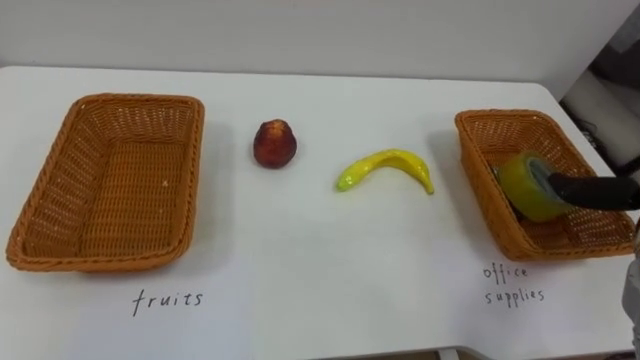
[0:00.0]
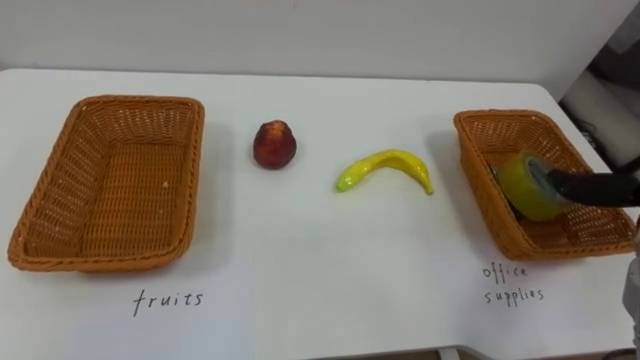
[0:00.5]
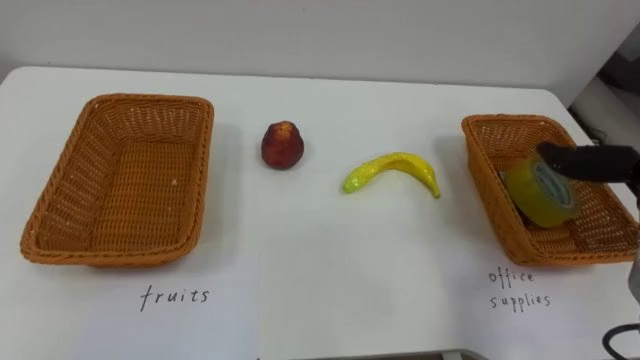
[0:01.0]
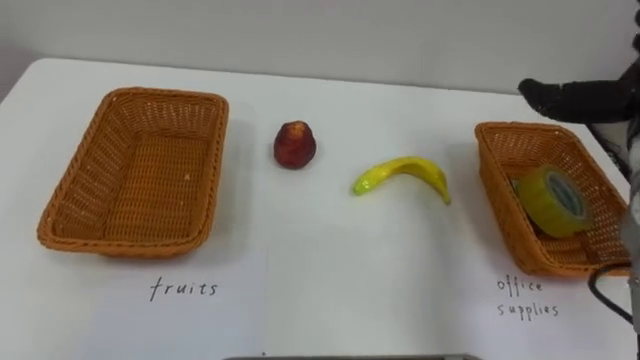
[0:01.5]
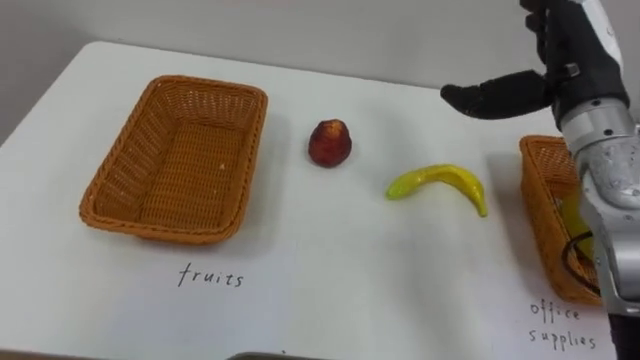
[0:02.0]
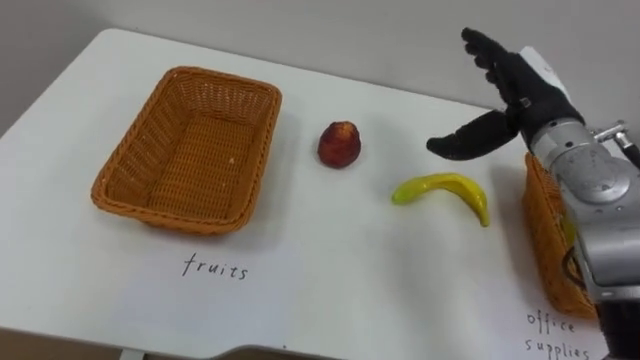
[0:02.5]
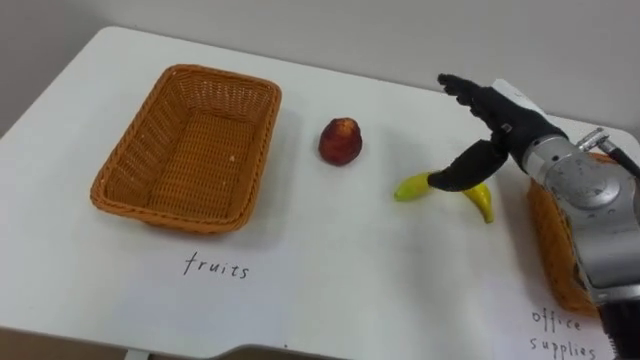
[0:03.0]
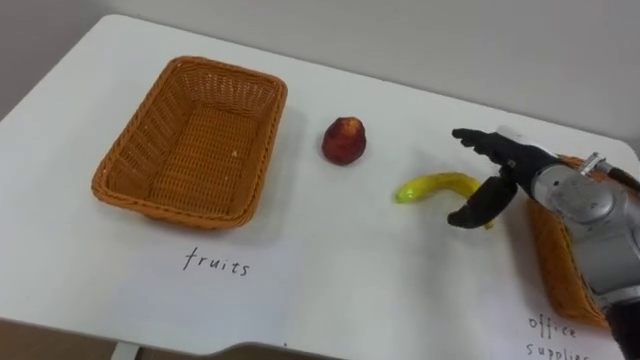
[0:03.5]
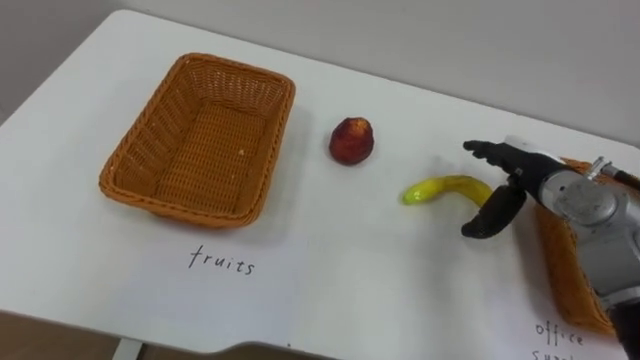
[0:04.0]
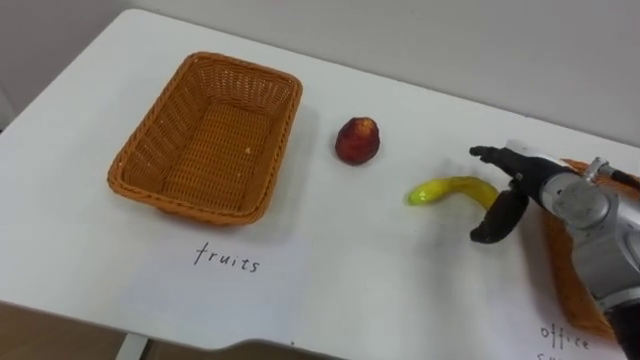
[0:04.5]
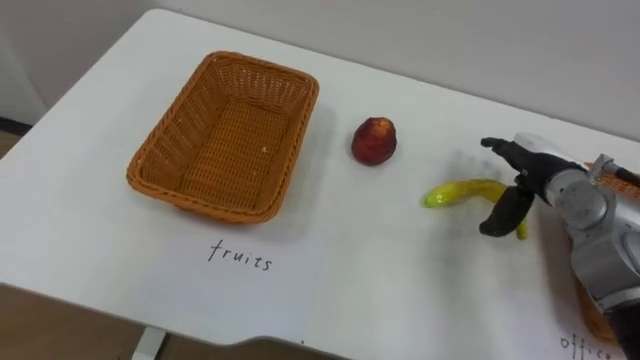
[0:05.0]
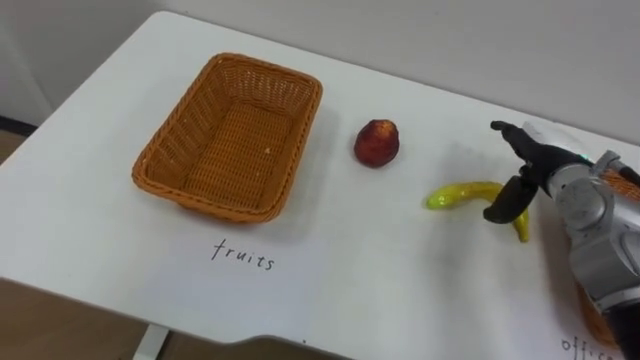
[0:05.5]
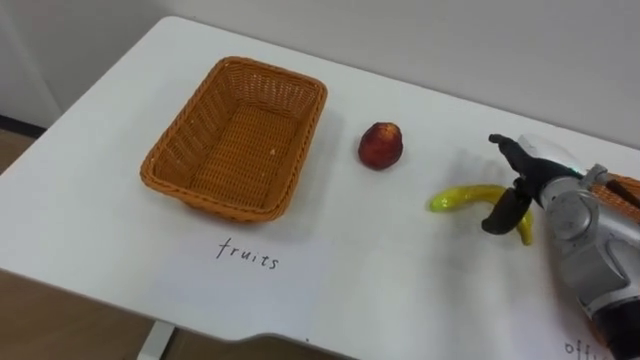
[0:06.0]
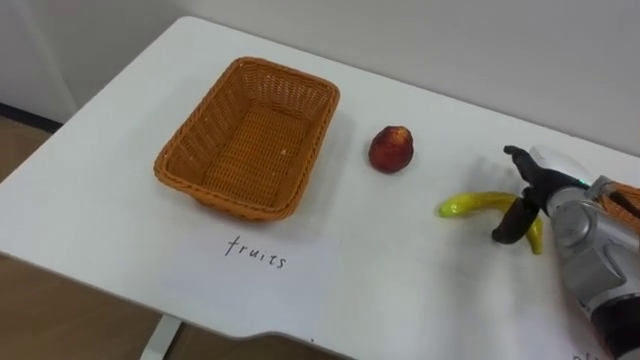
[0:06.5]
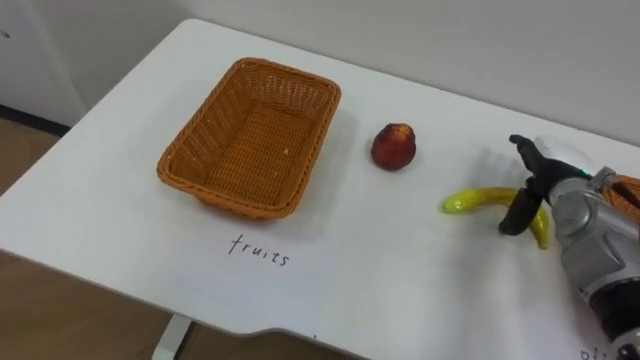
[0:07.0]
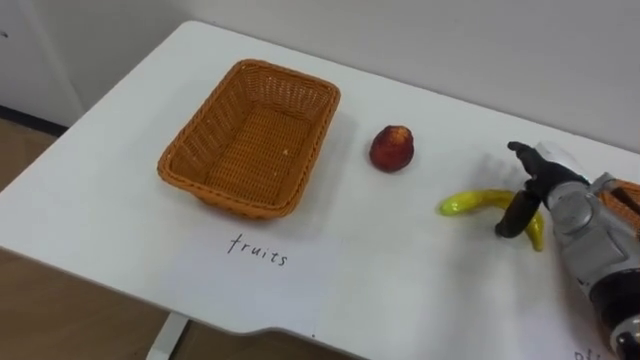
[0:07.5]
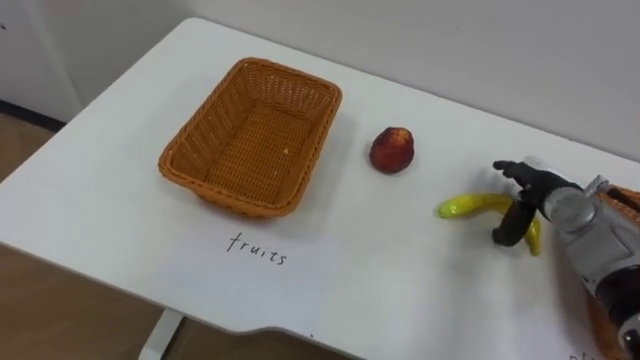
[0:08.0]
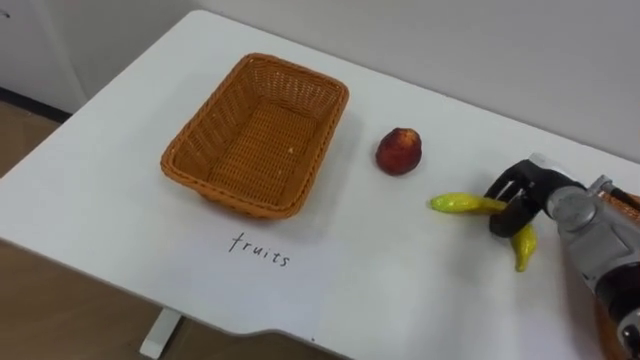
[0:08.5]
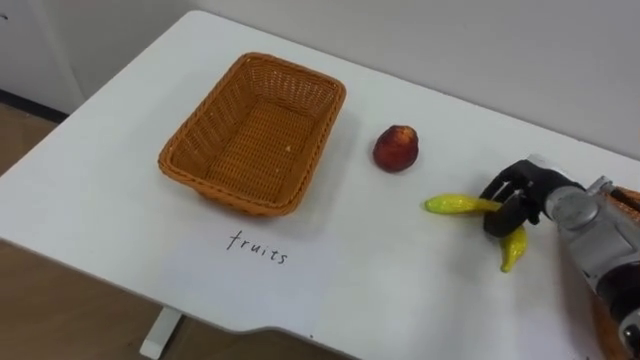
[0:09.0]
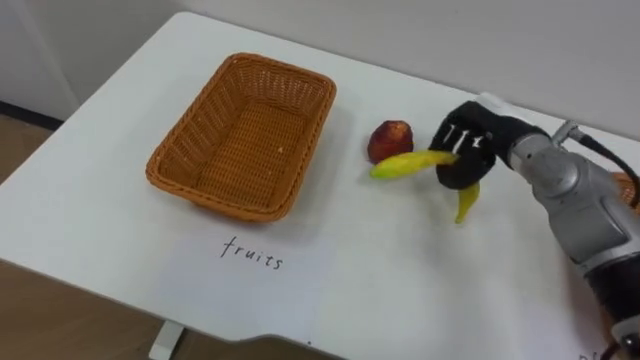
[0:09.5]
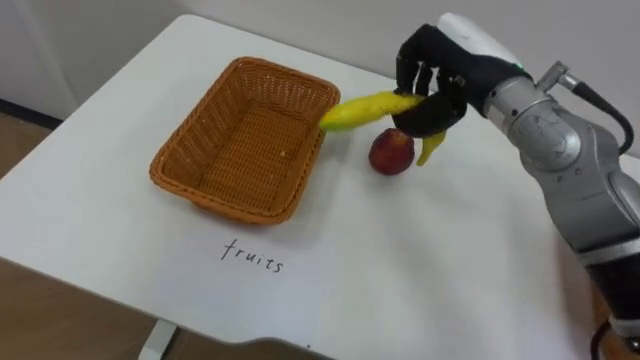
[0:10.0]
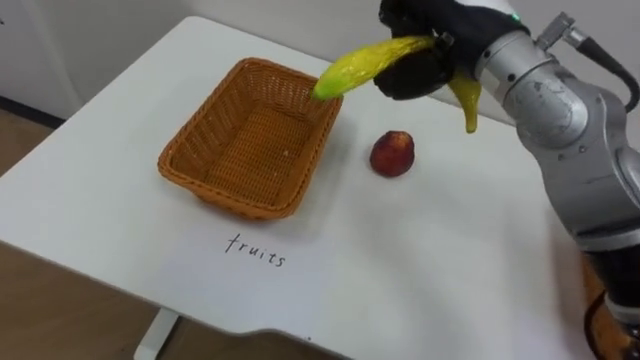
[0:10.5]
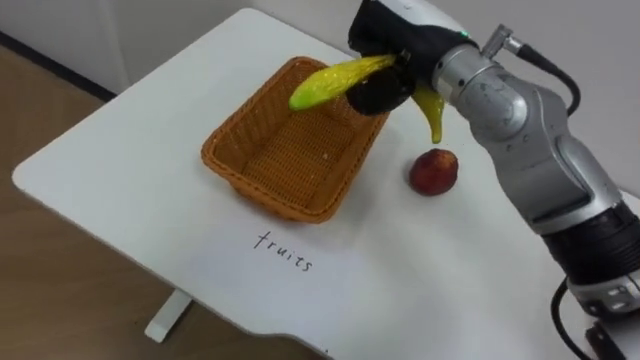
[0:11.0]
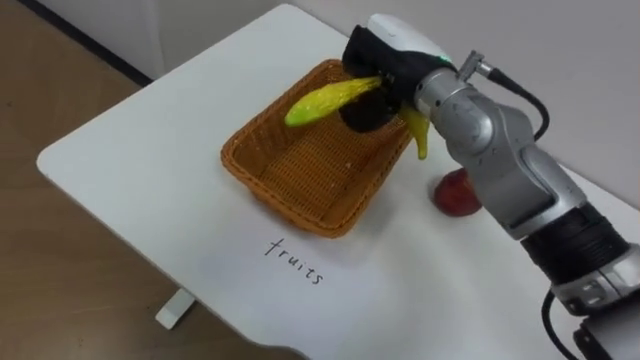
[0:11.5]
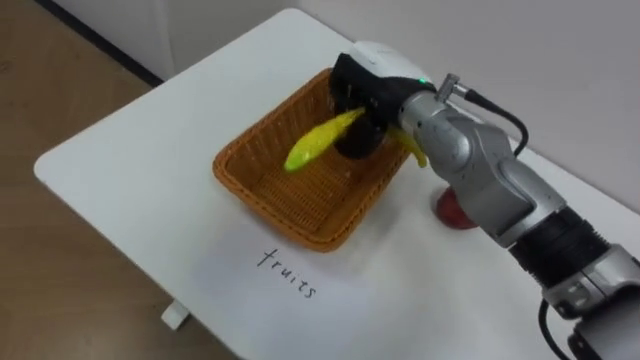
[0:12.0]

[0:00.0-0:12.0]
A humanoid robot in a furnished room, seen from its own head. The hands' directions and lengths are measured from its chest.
Task of the whole recording: Separate the items on the table and place them into the two baskets.
0:02.0 to 0:04.0: The right hand heads downward, covering roughly 15 cm.
0:08.0 to 0:10.0: The right hand goes about 25 cm upward and to the left, and closes its fingers.
0:10.0 to 0:12.0: The right hand goes some 10 cm to the left, and moves roughly 5 cm upward and comes back.

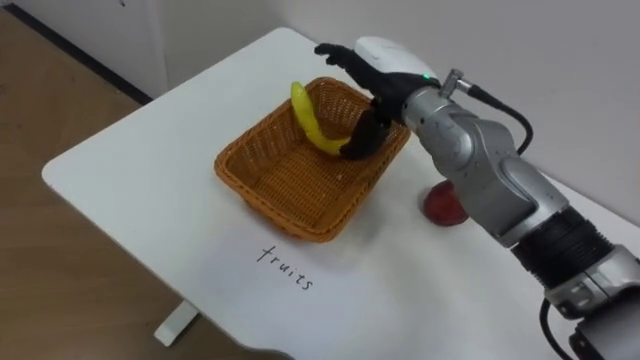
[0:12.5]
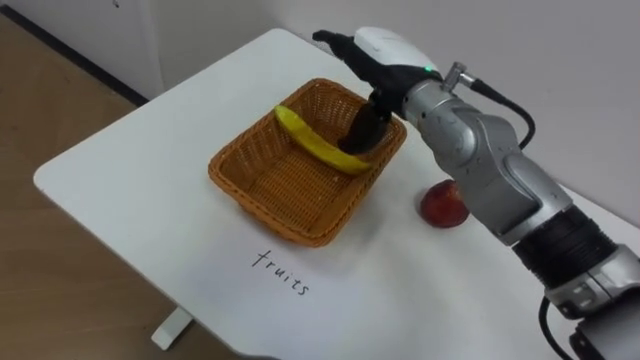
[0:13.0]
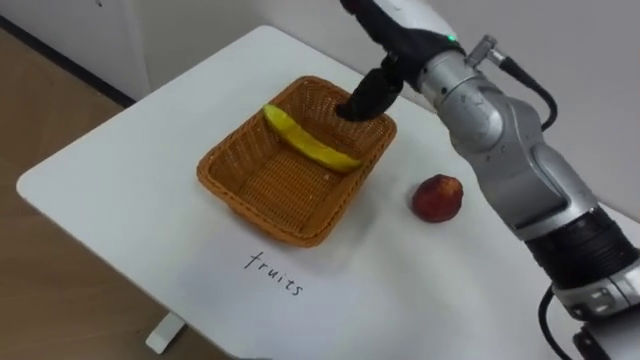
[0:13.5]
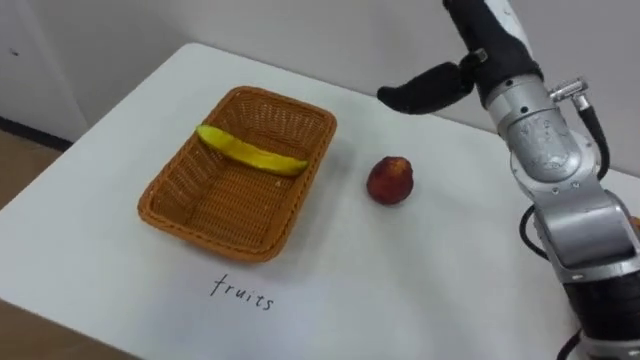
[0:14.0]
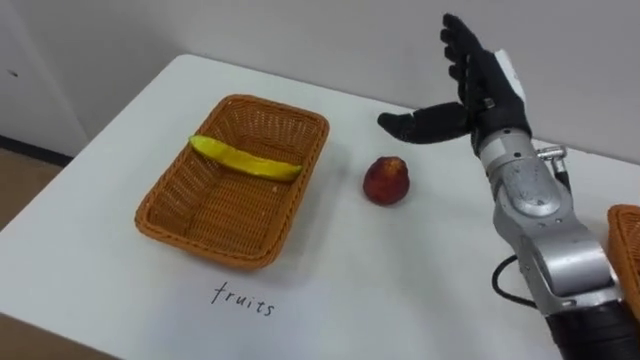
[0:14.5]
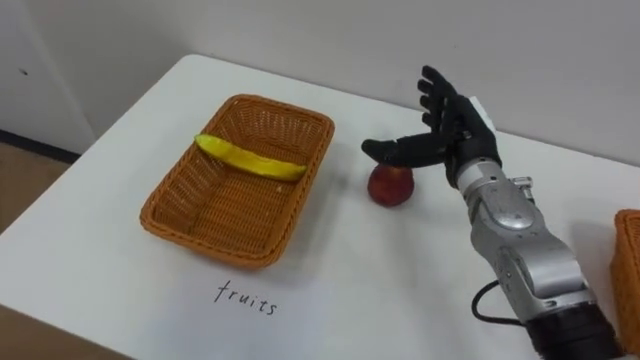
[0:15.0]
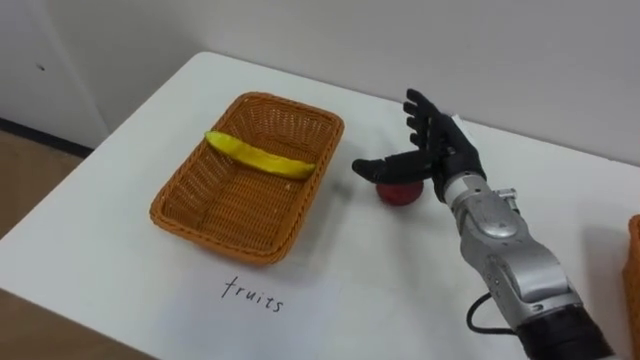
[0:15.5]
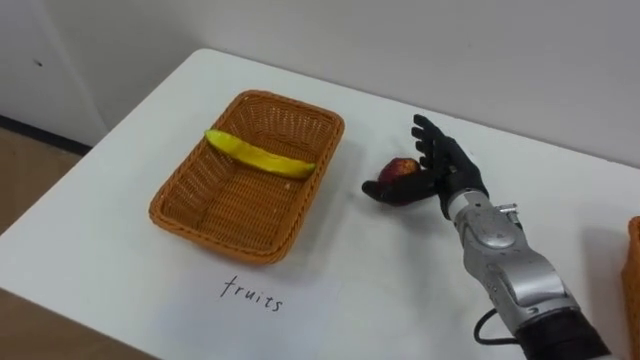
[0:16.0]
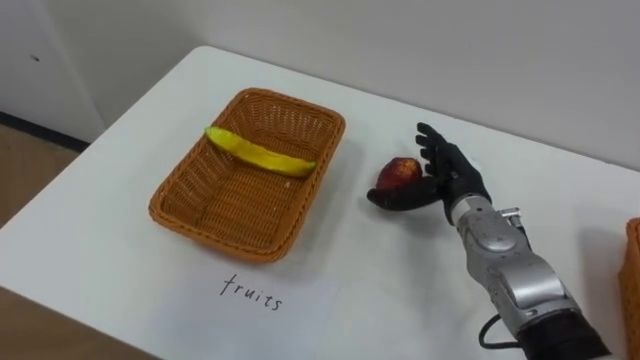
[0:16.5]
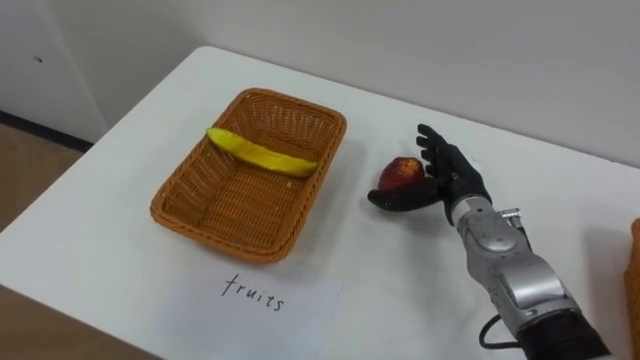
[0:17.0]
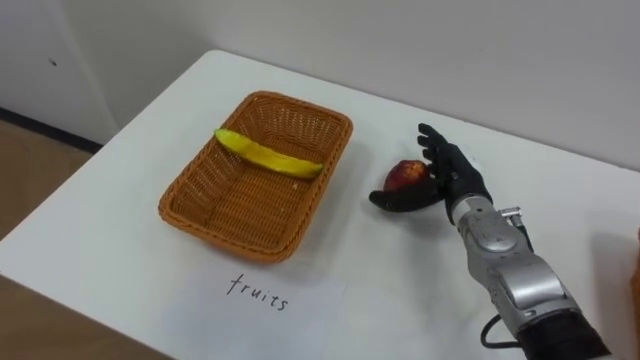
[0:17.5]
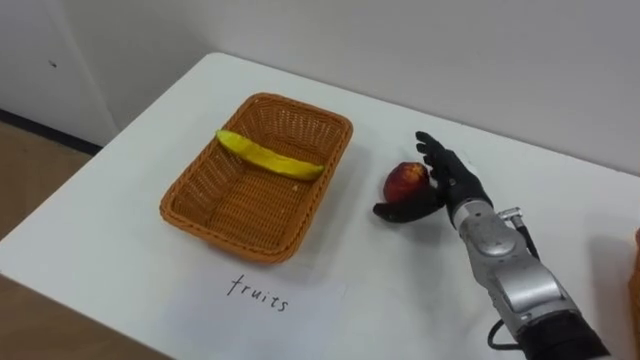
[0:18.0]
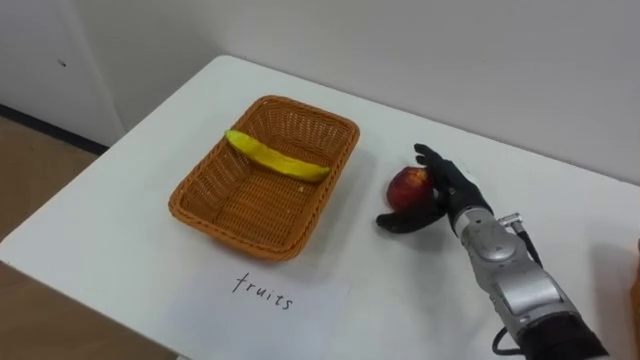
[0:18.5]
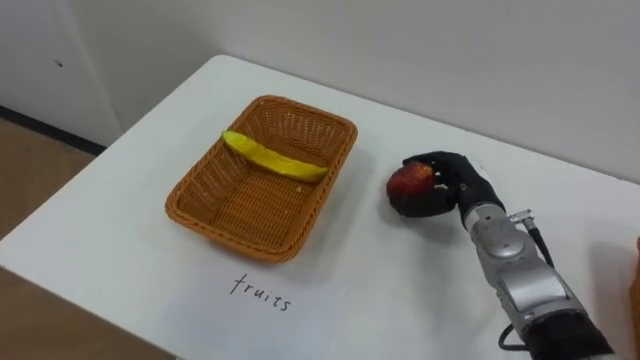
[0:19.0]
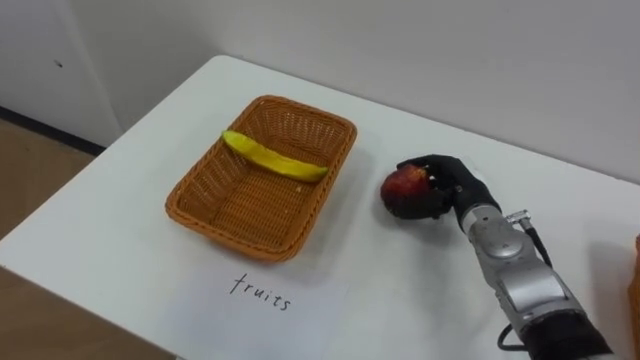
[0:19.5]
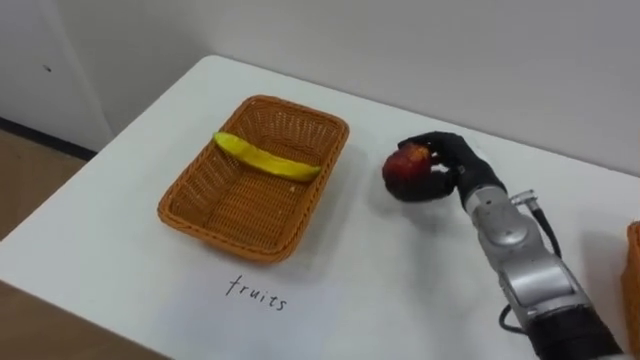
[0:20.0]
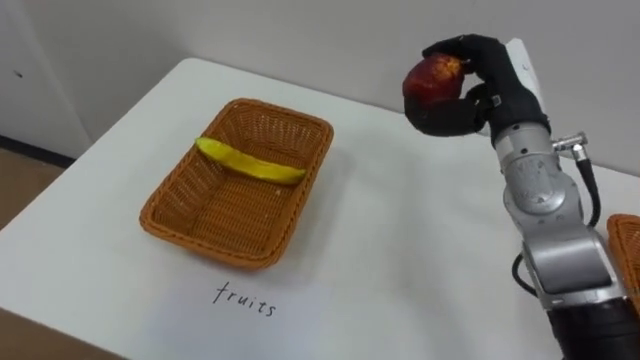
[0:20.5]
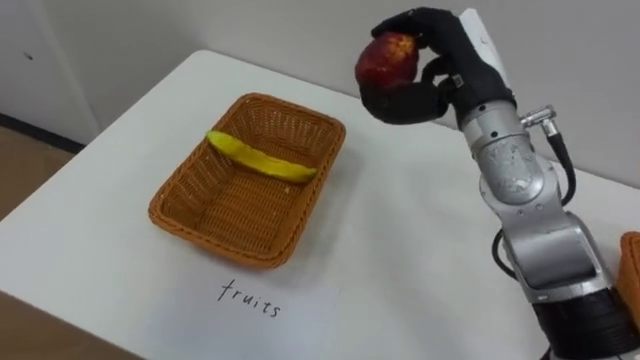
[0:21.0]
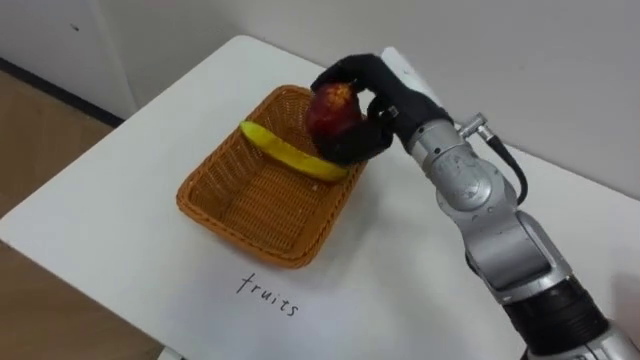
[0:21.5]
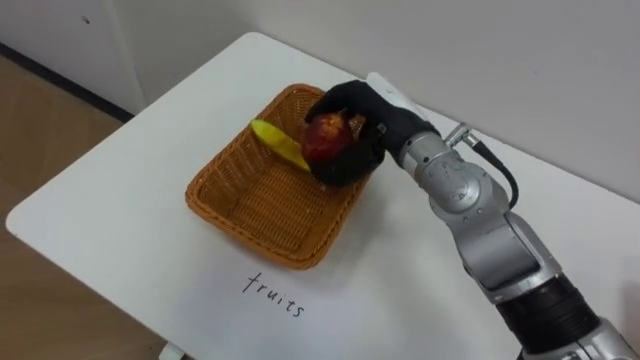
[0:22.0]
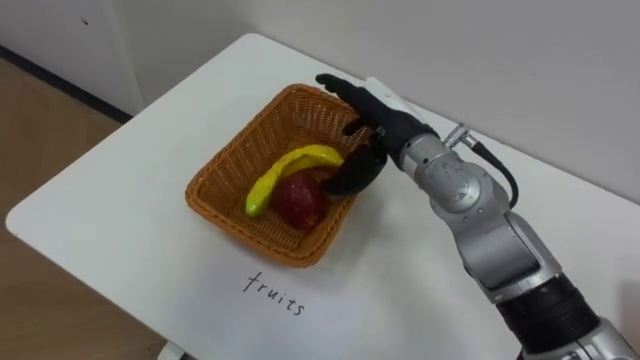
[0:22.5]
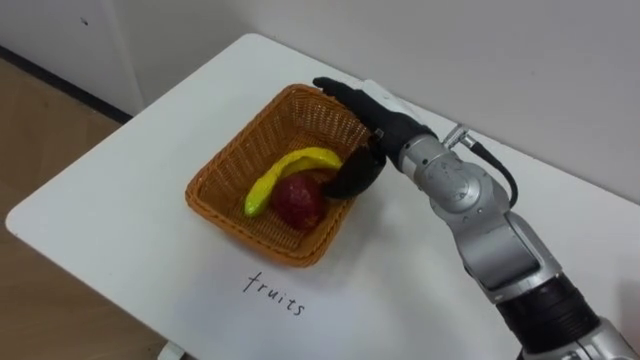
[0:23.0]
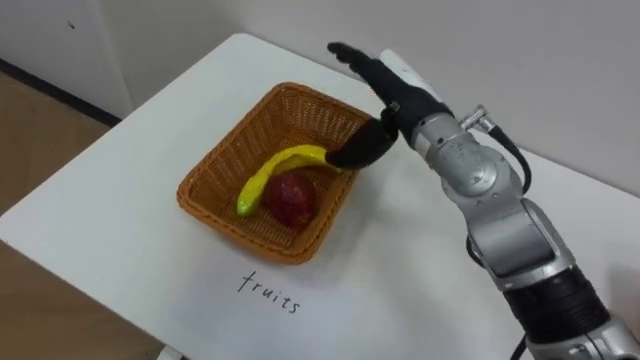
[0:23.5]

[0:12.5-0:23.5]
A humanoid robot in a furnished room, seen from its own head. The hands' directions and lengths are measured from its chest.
Task of the whole recording: Separate the items on the table and place them into the two baskets.
0:12.5 to 0:14.5: The right hand goes roughly 10 cm to the right.
0:14.5 to 0:16.0: The right hand goes approximately 10 cm downward.
0:18.0 to 0:20.0: The right hand closes its fingers.
0:20.0 to 0:21.5: The right hand goes about 15 cm upward and to the left.
0:21.5 to 0:23.5: The right hand opens its fingers.
